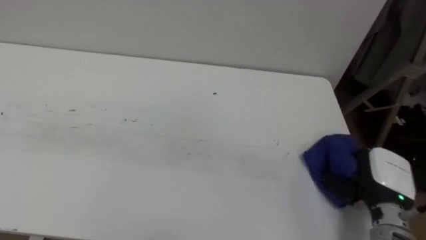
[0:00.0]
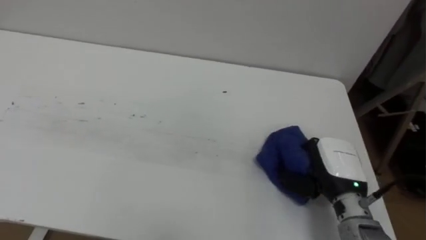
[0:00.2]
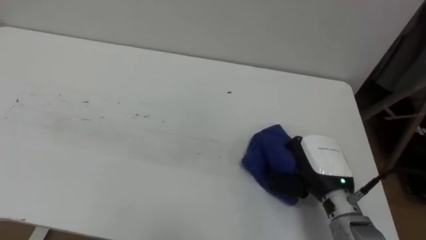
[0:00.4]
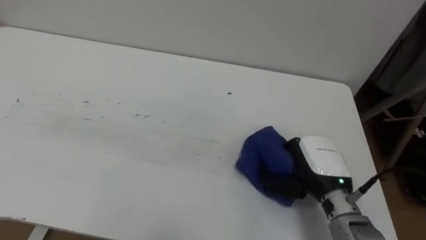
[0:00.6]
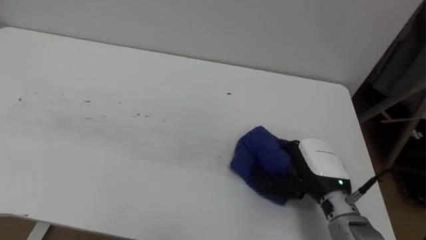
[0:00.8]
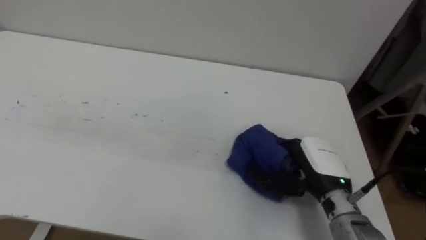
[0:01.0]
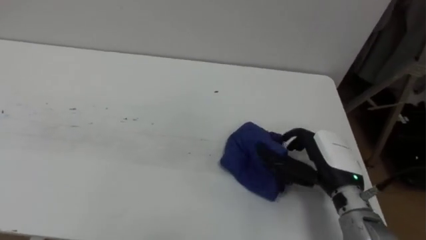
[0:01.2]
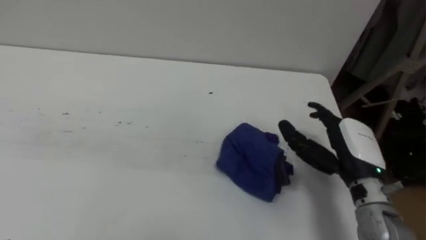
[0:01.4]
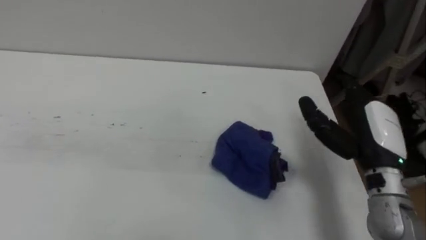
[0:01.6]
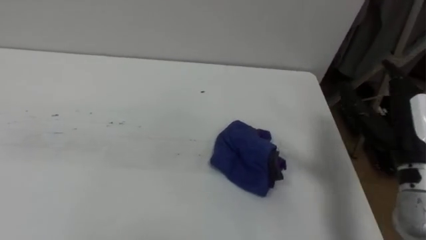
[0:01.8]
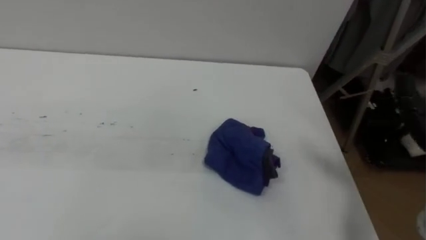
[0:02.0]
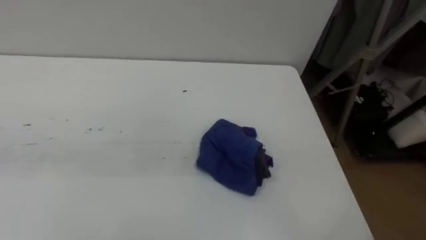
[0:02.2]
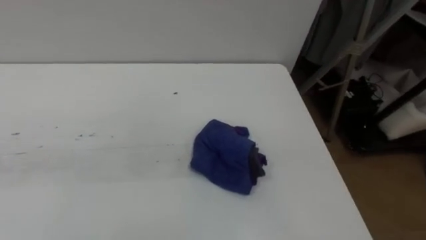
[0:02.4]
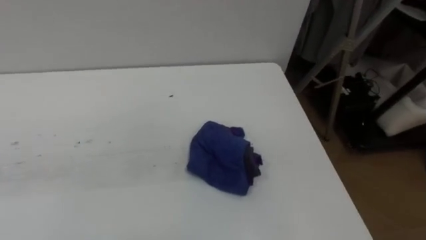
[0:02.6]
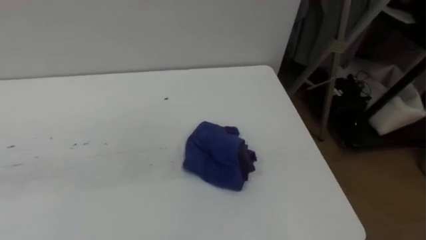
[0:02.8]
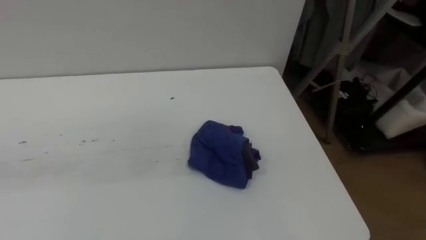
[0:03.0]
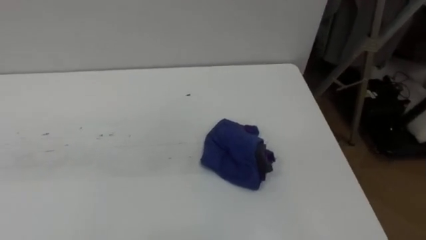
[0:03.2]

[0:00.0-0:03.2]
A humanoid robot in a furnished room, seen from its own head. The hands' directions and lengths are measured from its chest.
Task of the whole recording: Wipe the blue pen marks off the table with the rag.
0:00.0 to 0:01.6: The right hand goes about 10 cm upward, and opens up.

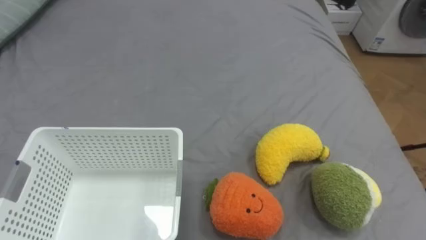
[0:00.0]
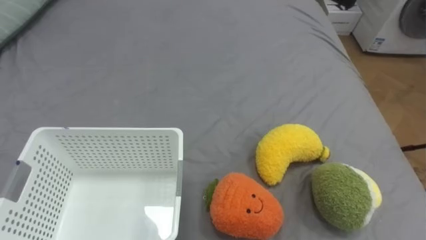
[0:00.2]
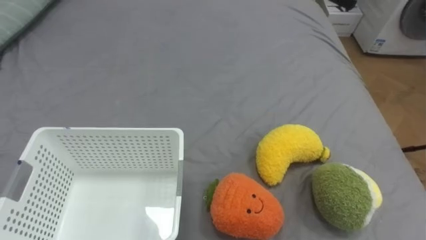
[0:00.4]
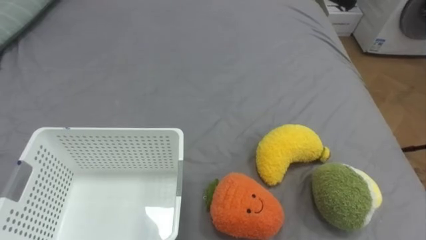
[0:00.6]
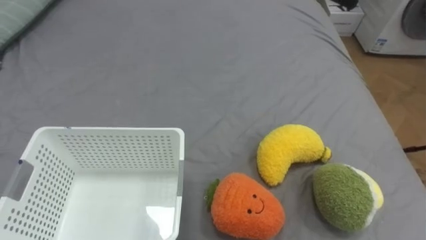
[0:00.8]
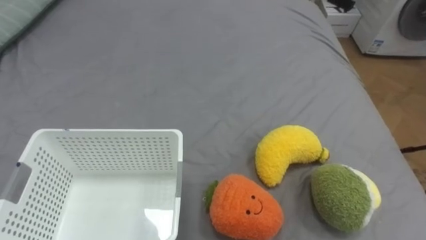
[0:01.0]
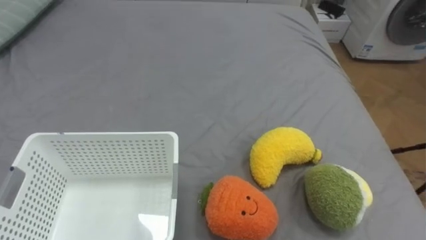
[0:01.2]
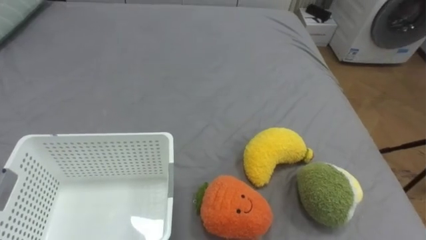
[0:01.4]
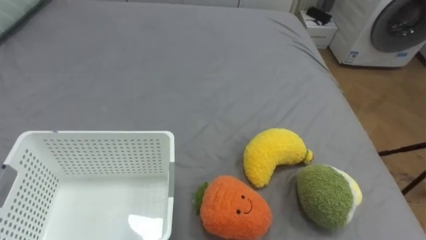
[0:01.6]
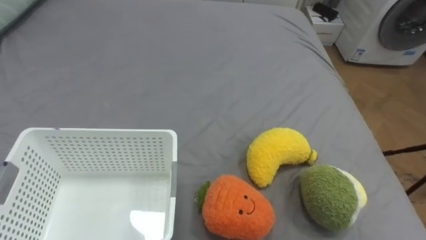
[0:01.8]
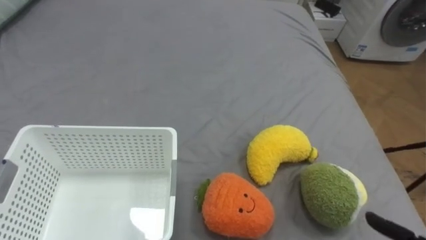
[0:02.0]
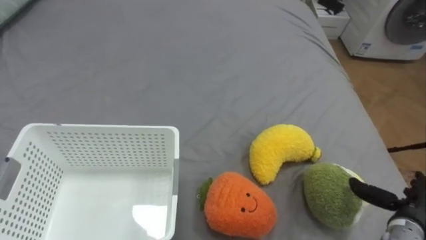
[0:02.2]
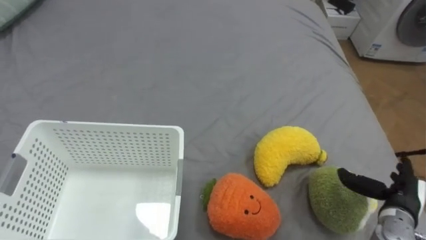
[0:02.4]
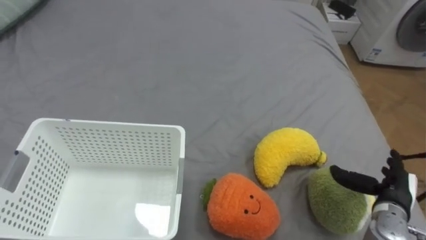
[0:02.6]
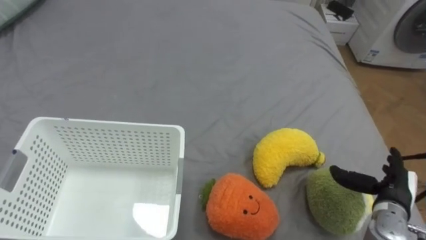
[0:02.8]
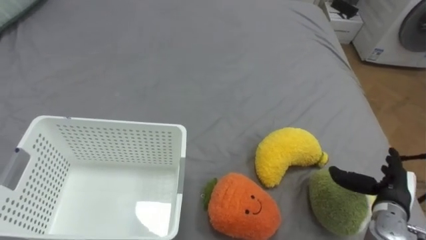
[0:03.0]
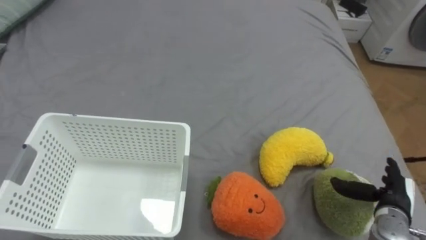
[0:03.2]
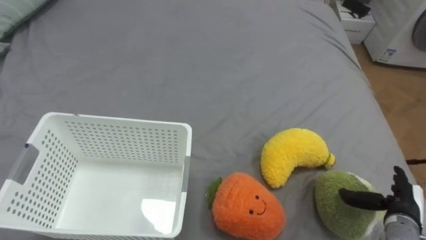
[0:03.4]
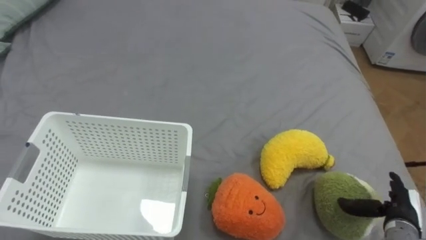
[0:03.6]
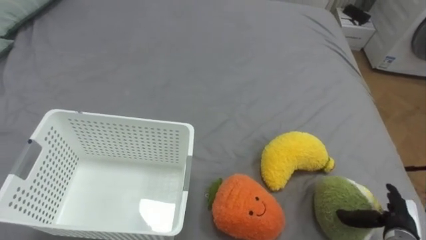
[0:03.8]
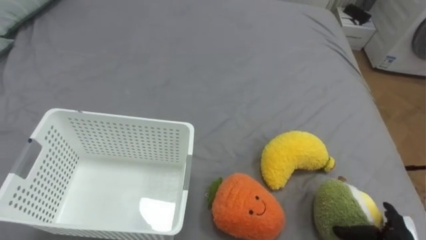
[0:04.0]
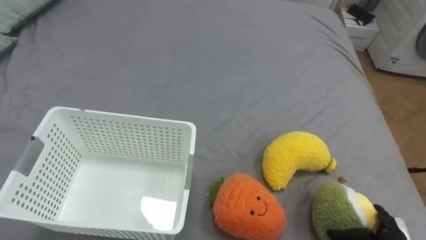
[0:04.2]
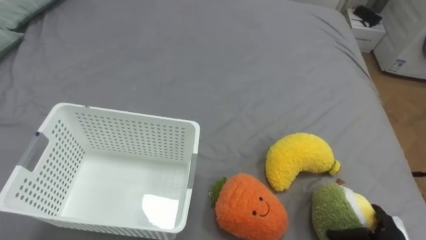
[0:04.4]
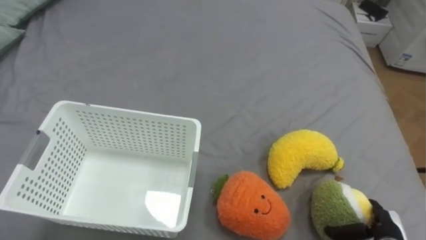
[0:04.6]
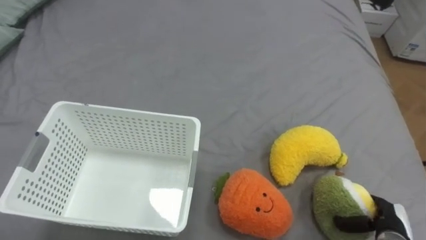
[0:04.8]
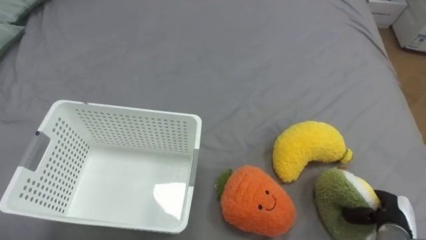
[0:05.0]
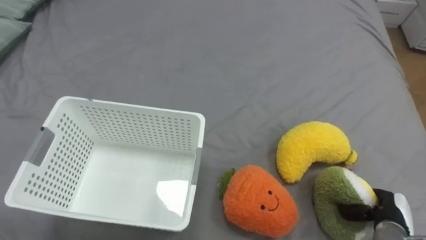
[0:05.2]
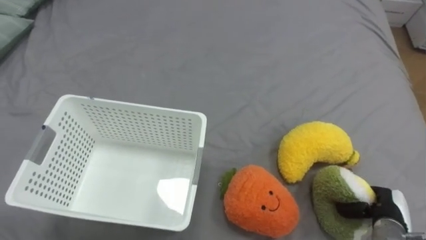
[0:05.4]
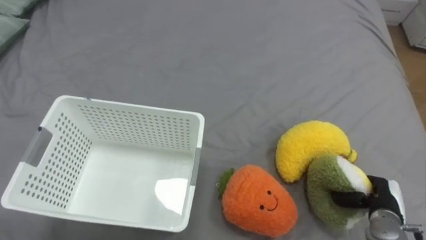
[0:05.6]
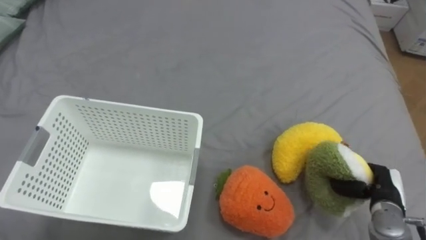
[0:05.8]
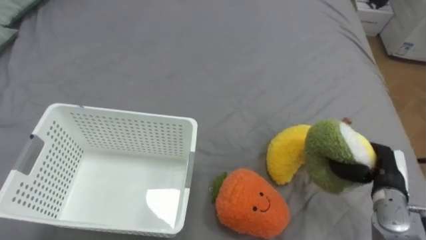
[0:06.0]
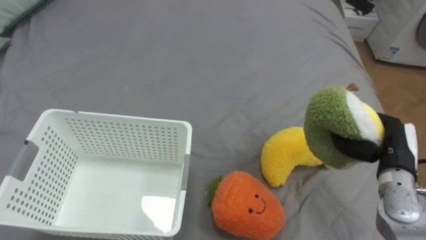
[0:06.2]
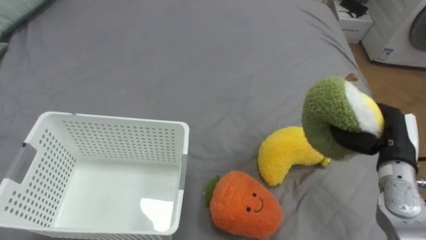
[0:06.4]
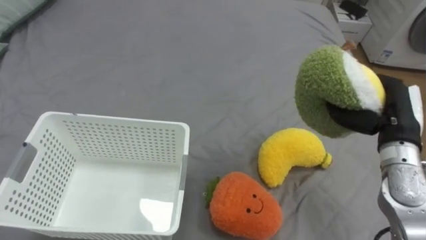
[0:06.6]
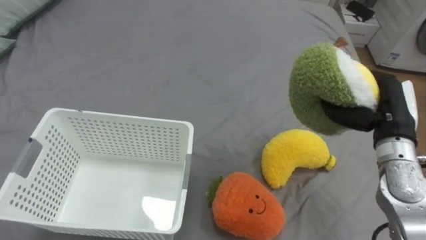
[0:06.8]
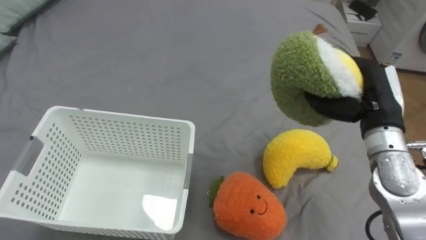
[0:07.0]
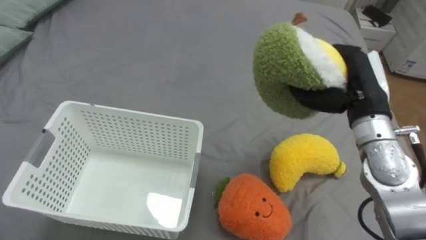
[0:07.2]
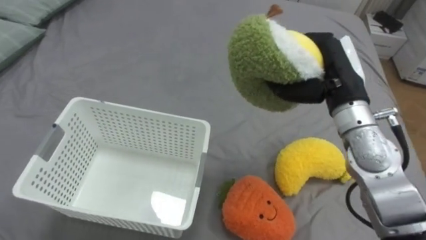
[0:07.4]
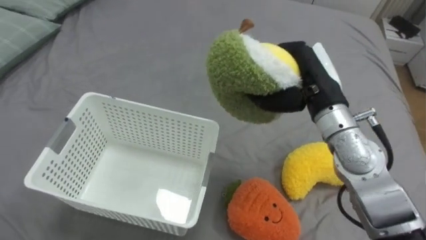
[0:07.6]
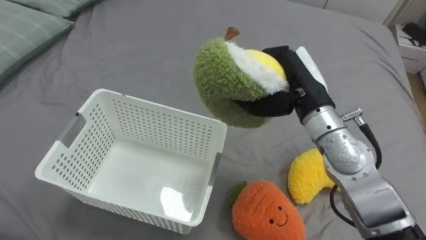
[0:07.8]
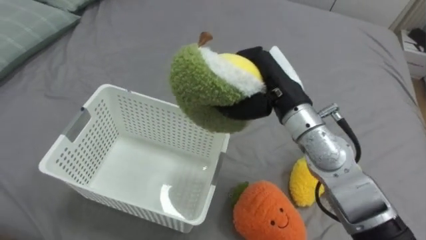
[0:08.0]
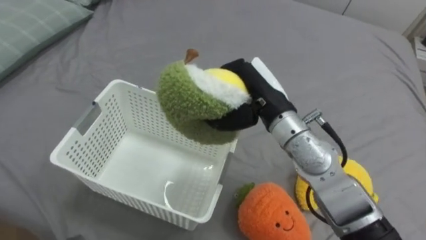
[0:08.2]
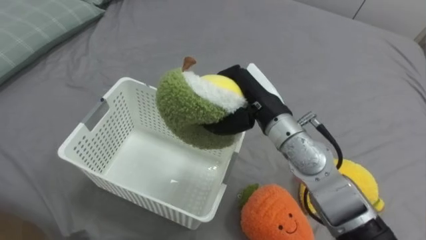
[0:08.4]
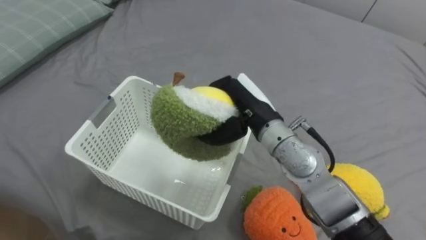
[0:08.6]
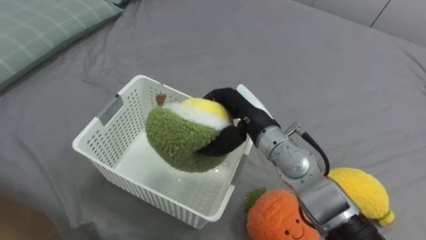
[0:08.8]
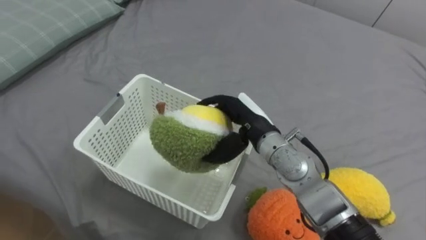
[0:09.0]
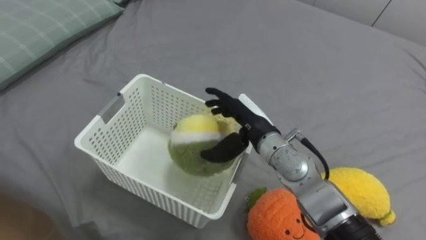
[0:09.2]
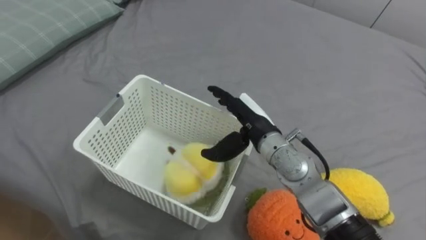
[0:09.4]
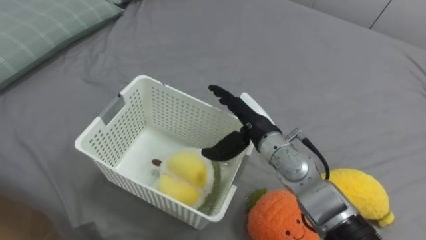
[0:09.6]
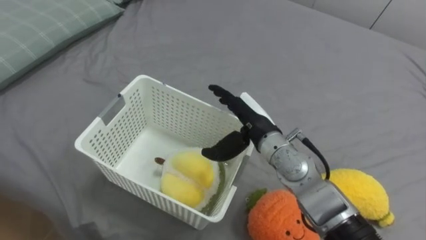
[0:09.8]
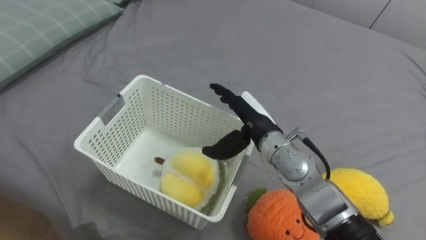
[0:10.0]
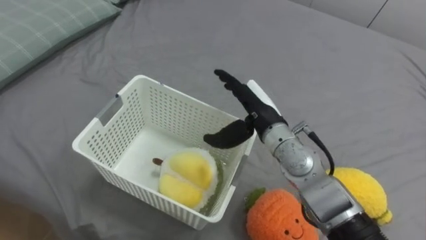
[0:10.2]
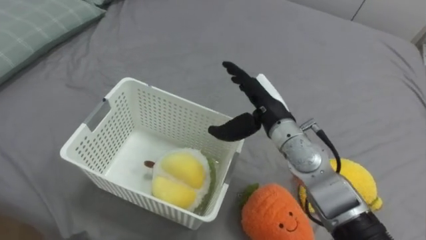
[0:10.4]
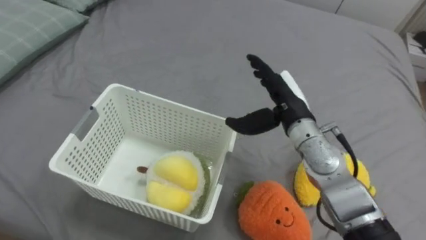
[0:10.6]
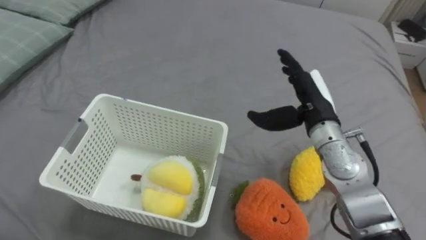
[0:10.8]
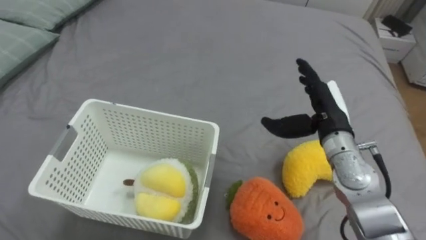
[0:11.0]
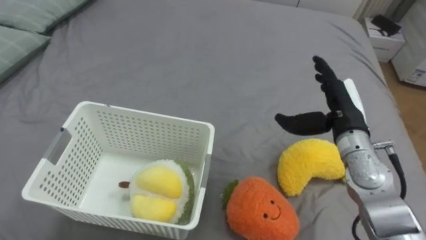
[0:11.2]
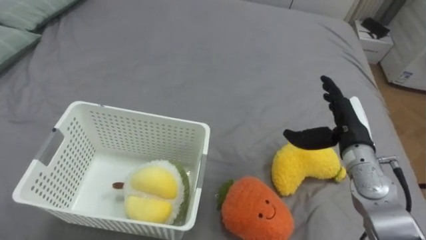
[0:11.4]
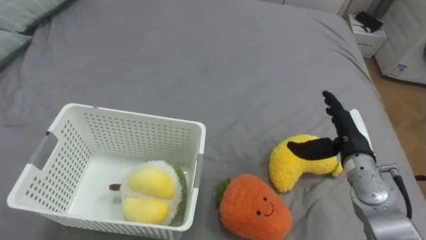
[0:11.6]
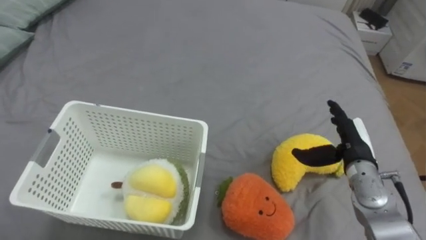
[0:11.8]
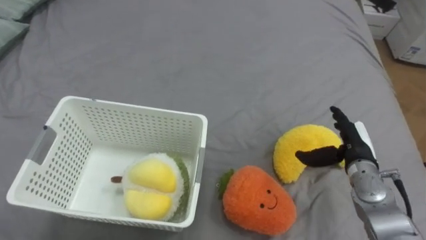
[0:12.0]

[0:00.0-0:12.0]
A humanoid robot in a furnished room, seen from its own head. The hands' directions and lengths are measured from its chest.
Task of the whole recording: Put the toys on the bed into the basket on the left.
0:03.0 to 0:04.4: The right hand goes roughly 10 cm downward and backward.
0:04.4 to 0:06.0: The right hand shifts approximately 15 cm upward and forward, and closes its fingers.
0:06.0 to 0:07.6: The right hand travels upward, to the left and forward by roughly 25 cm.
0:07.6 to 0:09.0: The right hand moves to the left and downward, approximately 15 cm, and opens its fingers.
0:10.4 to 0:12.0: The right hand heads to the right and downward, covering some 20 cm.

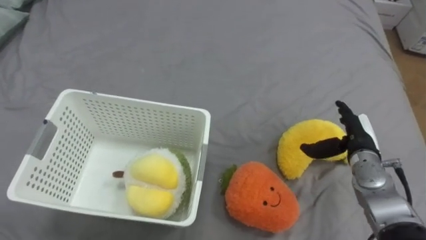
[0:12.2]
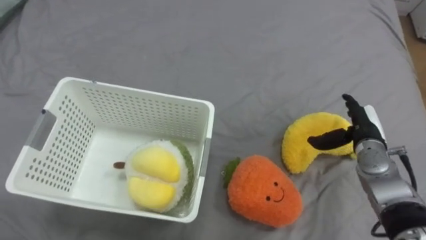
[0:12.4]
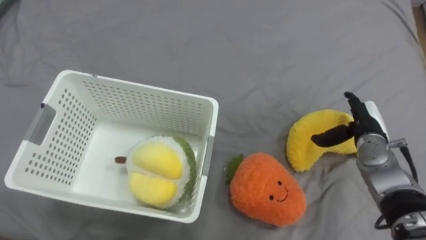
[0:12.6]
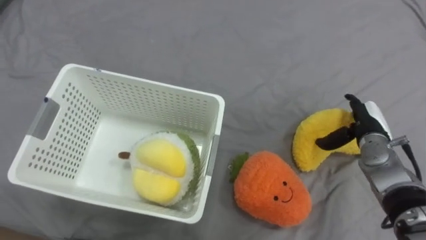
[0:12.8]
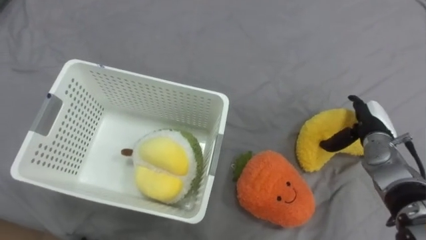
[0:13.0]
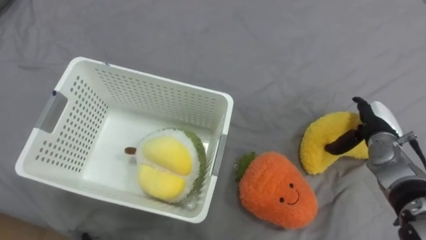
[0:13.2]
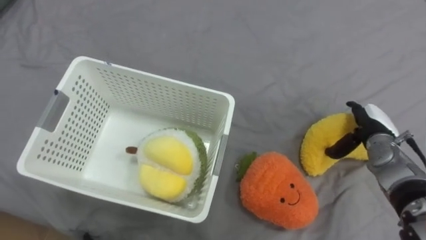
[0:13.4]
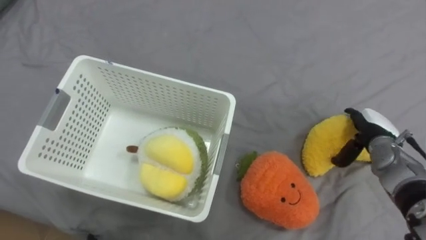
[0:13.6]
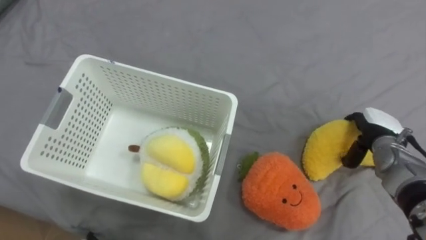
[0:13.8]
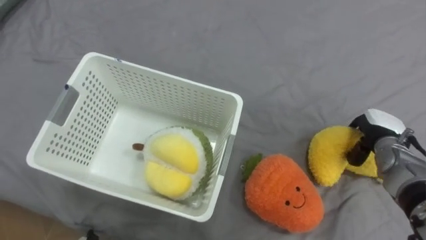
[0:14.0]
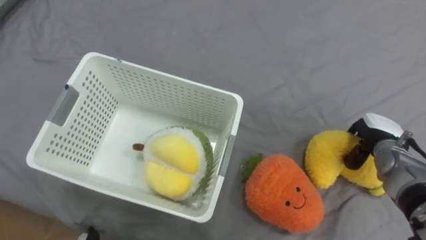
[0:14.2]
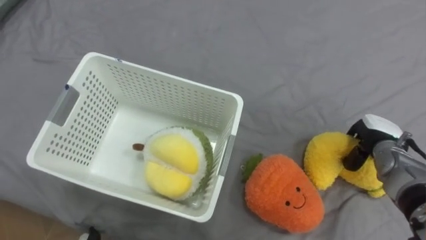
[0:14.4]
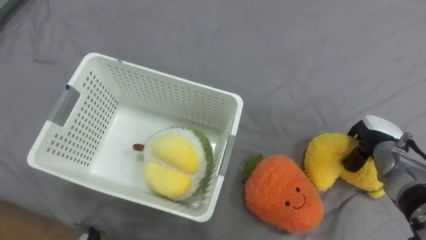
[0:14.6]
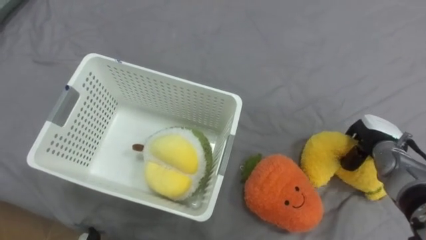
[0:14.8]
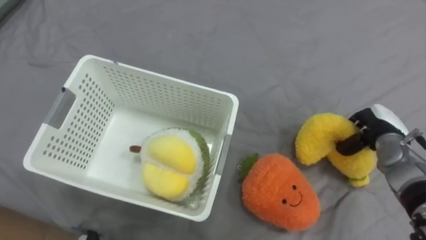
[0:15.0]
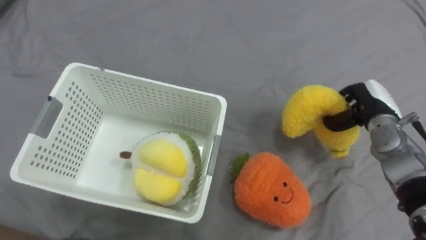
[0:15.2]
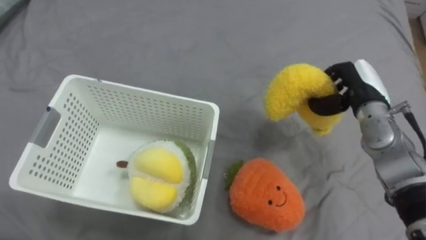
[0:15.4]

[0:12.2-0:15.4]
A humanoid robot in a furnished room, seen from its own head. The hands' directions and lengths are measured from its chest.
Task of the whole recording: Put the toys on the bed into the basket on the left.
0:13.8 to 0:15.4: The right hand moves upward, approximately 10 cm, and closes up.
